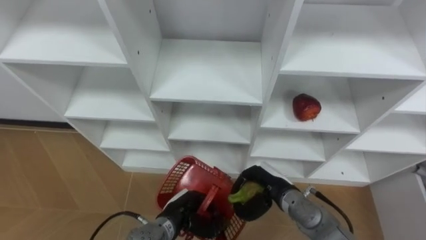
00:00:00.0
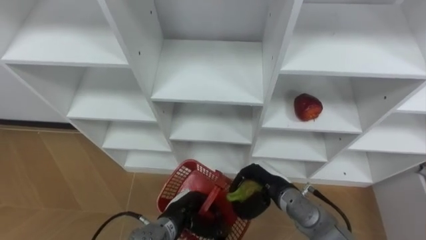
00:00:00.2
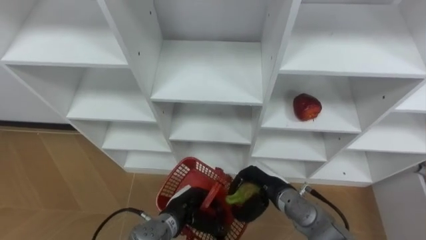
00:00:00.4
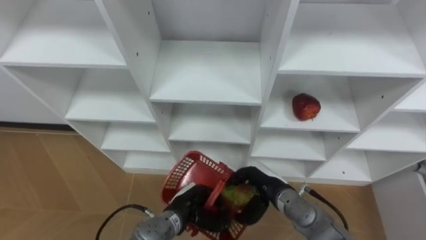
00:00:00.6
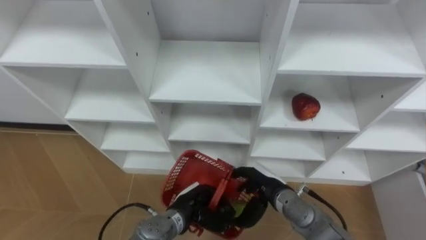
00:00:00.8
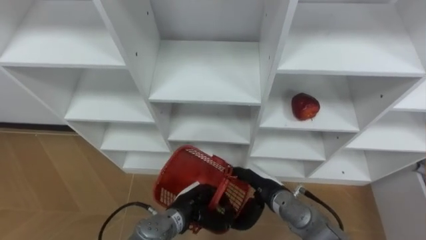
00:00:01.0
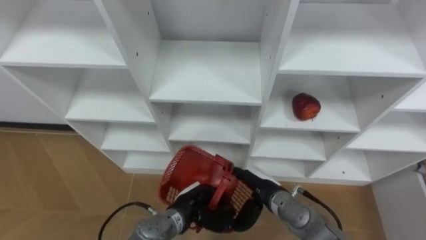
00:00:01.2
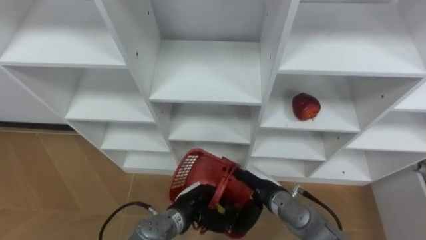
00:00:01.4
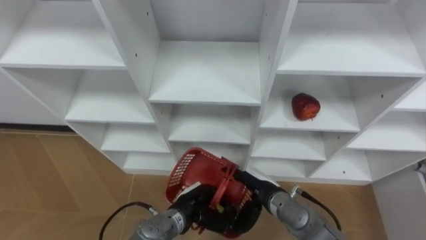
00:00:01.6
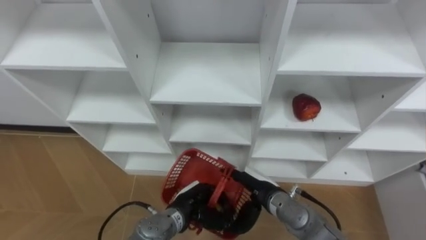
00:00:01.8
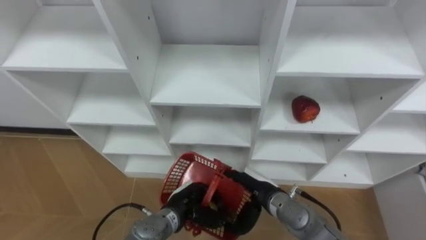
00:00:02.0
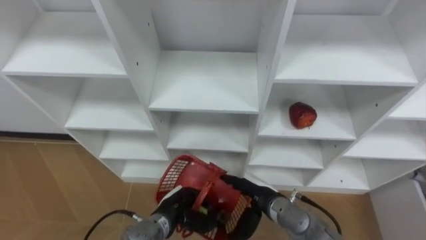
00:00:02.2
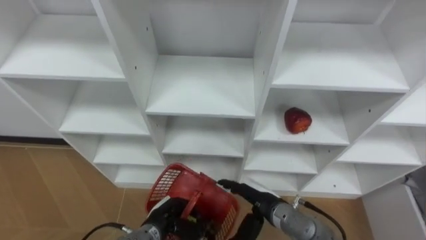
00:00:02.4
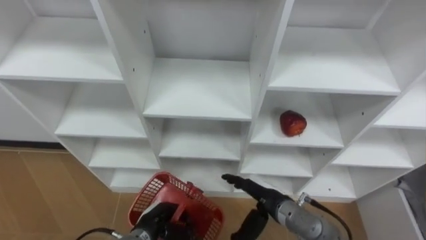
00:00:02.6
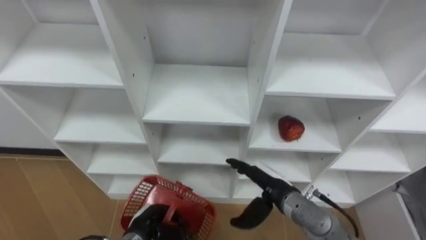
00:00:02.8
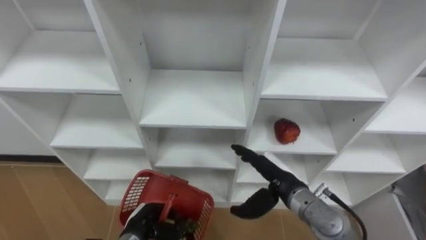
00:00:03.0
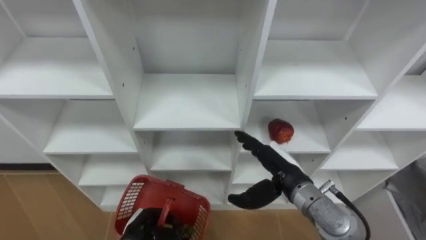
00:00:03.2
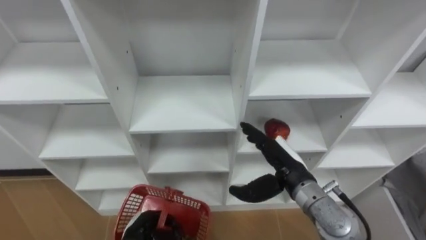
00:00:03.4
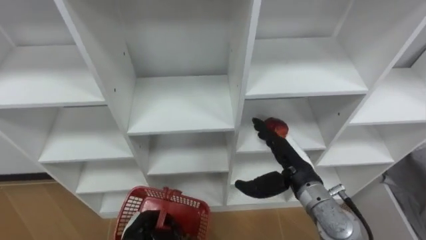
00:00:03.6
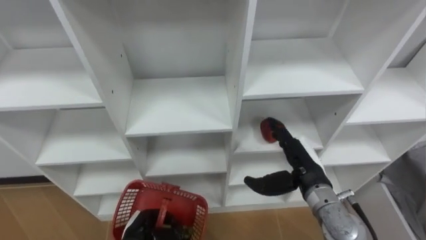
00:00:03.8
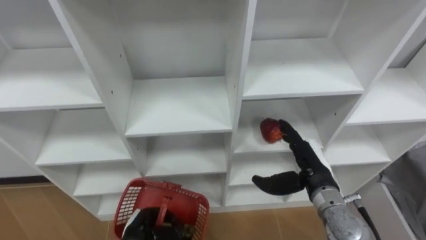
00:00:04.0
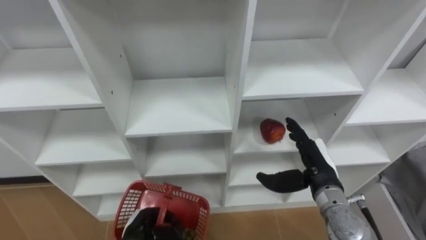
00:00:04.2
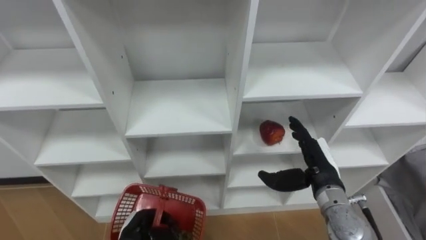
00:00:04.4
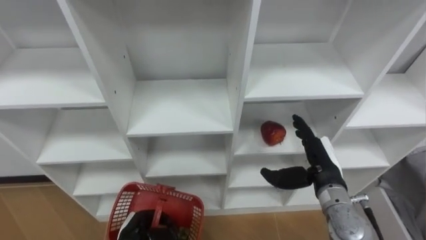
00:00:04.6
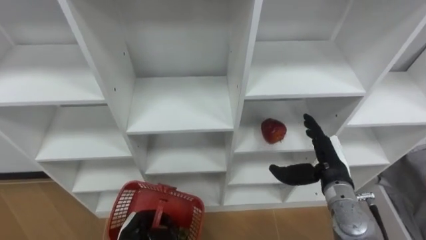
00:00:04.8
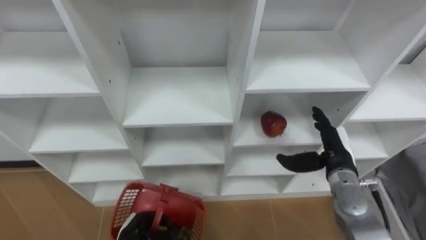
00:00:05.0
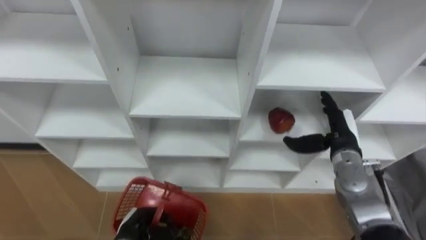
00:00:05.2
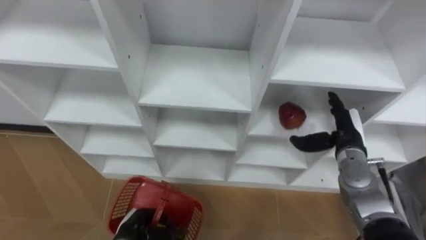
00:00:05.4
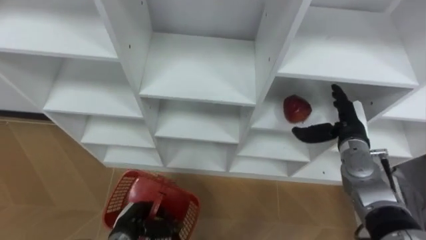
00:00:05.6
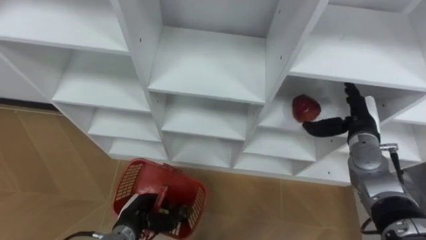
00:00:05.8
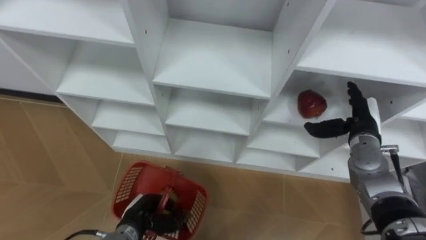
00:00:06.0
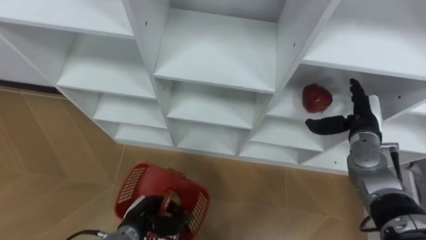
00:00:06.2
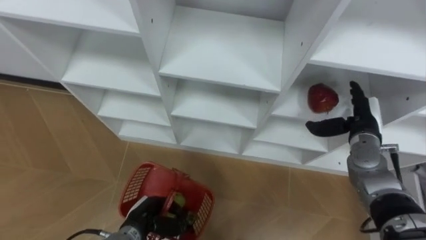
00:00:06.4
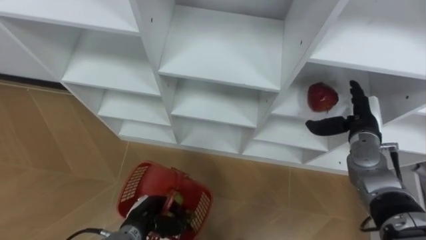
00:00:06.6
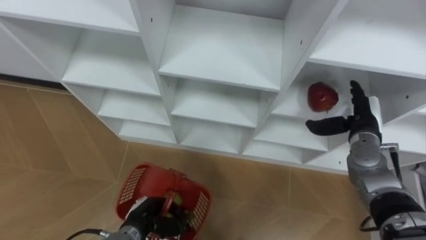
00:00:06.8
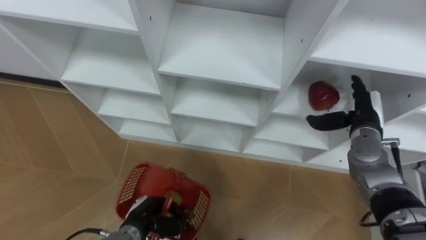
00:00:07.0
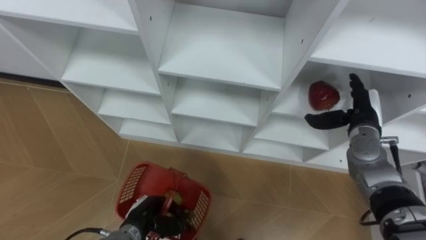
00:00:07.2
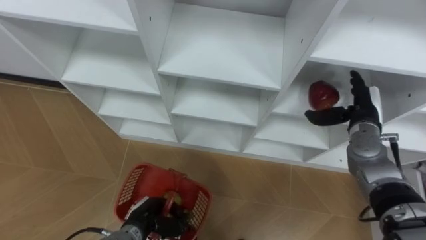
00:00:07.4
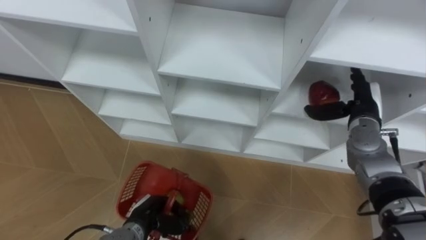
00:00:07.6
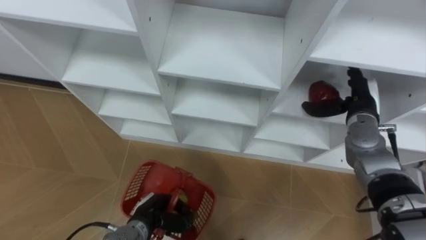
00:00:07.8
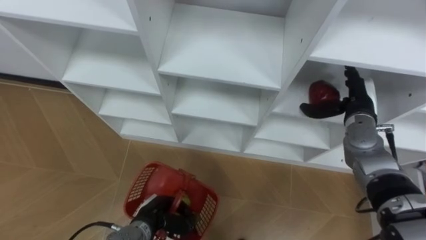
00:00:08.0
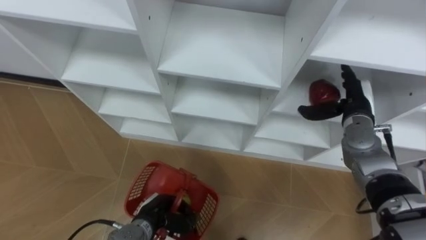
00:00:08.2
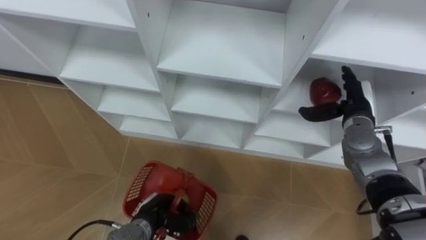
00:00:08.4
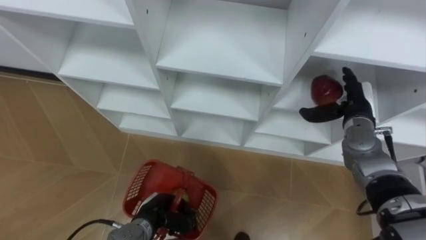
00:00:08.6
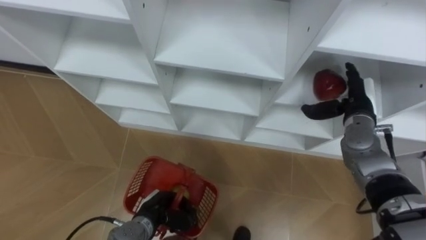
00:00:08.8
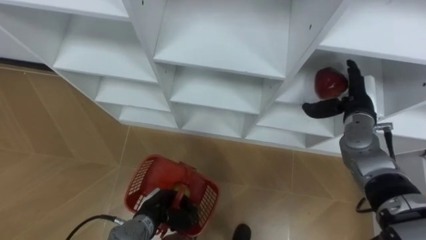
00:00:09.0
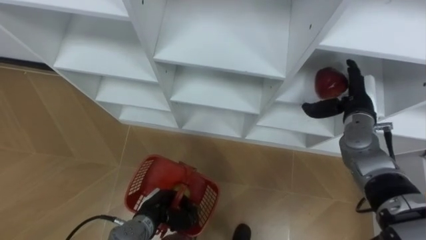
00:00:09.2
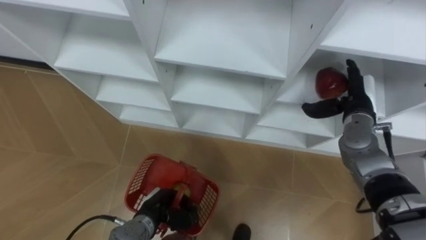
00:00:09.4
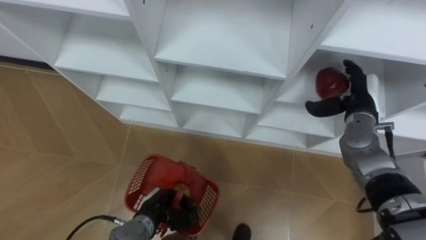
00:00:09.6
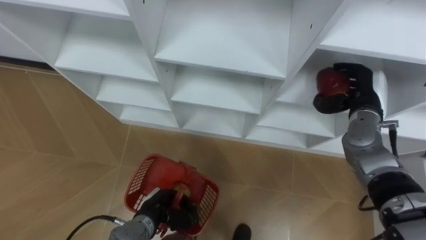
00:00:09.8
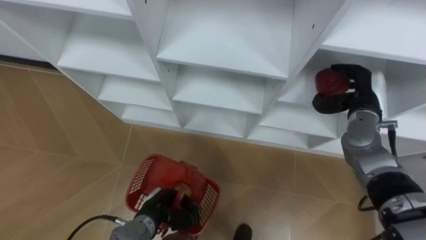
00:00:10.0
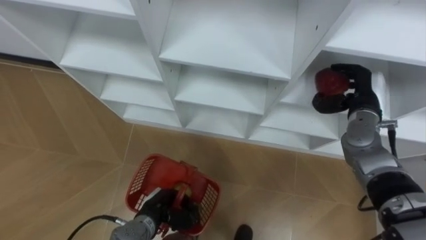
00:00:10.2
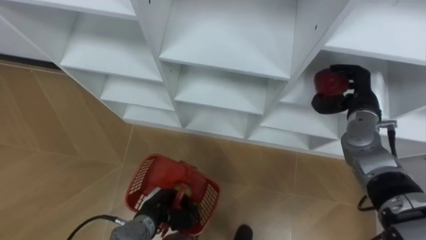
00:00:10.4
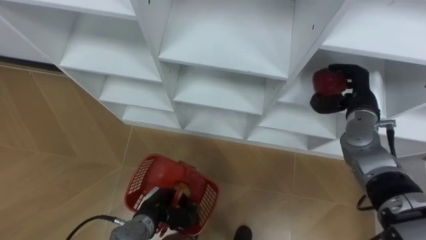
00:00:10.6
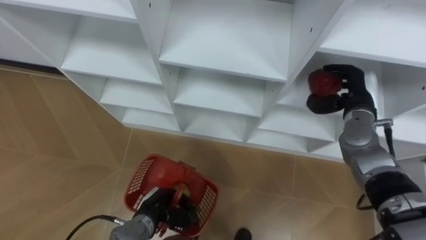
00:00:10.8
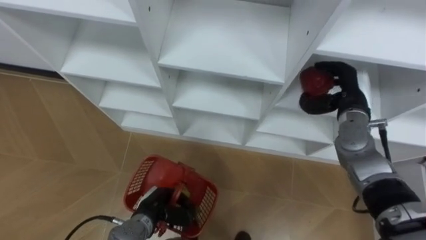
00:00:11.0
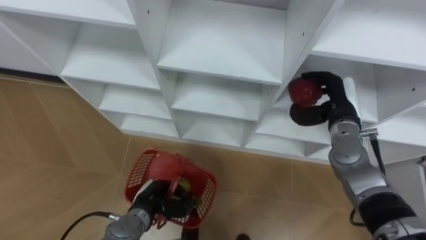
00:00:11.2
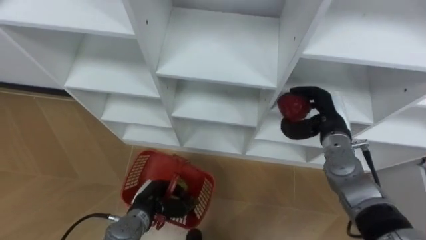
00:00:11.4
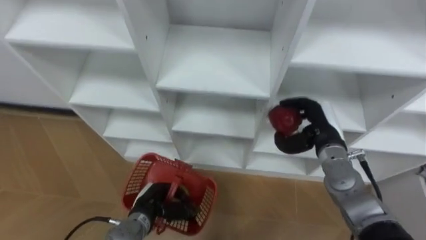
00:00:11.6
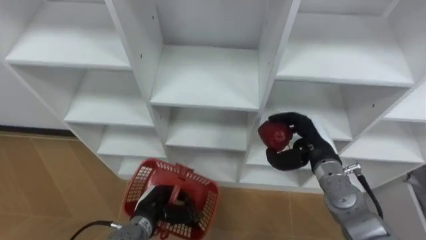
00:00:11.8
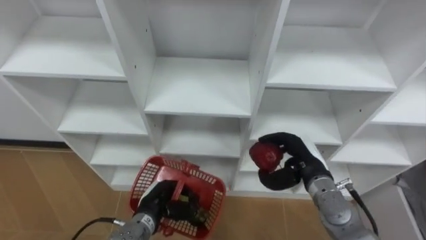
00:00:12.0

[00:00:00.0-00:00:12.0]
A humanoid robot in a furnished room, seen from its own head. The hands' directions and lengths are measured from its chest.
Task of the whole recording: Hold the basket and collect the fruits from 3 different cells of the closet into it.
00:00:00.0 to 00:00:01.6: The right hand opens its fingers.
00:00:01.6 to 00:00:03.0: The right hand travels upward by roughly 5 cm. The left hand heads to the left, covering approximately 10 cm.
00:00:03.0 to 00:00:04.4: The right hand travels to the right by about 10 cm.
00:00:04.4 to 00:00:06.0: The right hand heads to the right and forward, covering roughly 15 cm.
00:00:09.0 to 00:00:10.4: The right hand closes up.
00:00:10.4 to 00:00:12.0: The right hand travels to the left, backward and downward by some 15 cm.

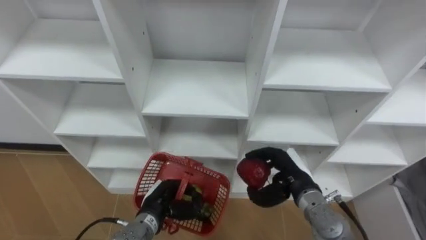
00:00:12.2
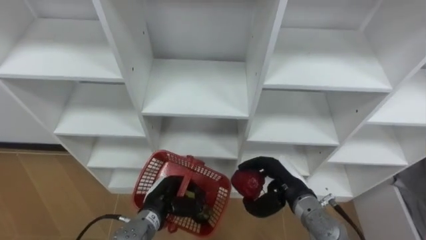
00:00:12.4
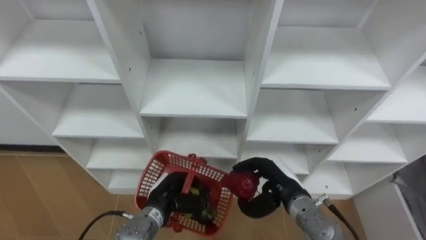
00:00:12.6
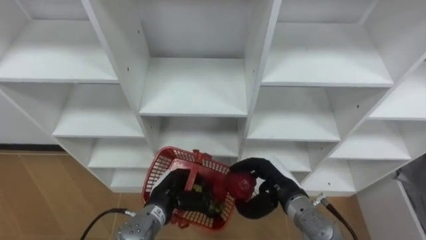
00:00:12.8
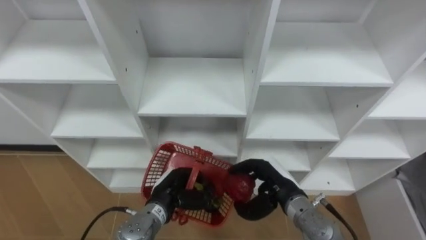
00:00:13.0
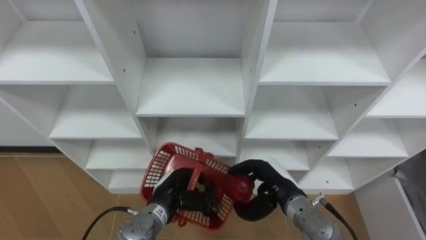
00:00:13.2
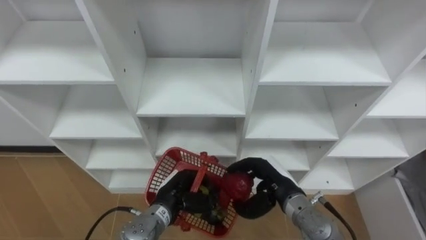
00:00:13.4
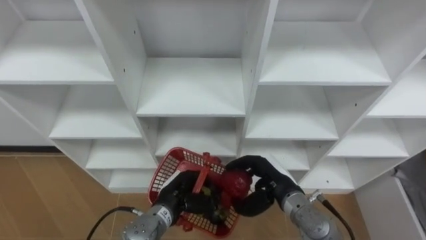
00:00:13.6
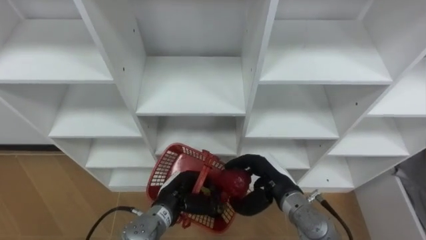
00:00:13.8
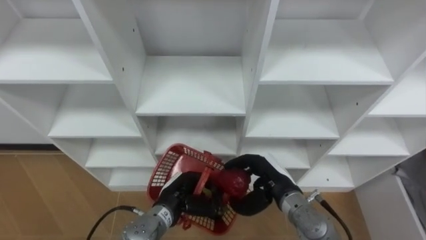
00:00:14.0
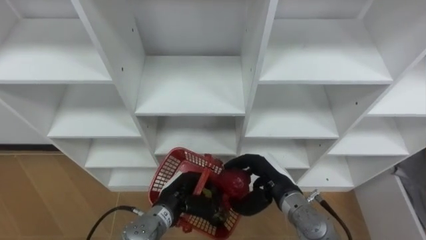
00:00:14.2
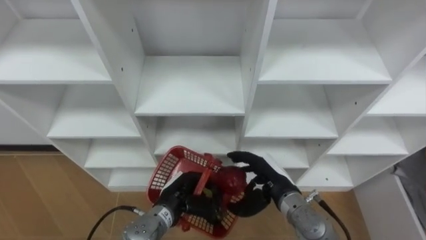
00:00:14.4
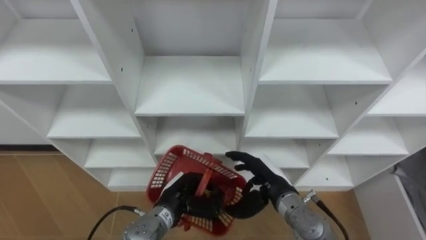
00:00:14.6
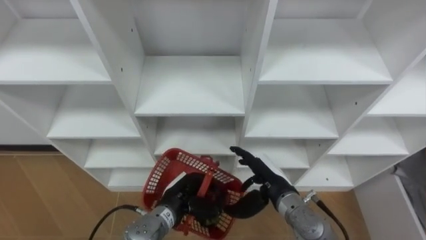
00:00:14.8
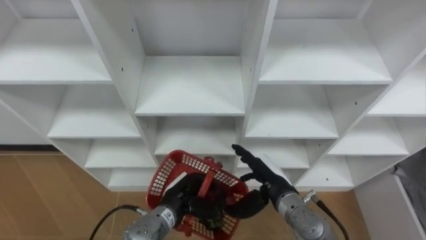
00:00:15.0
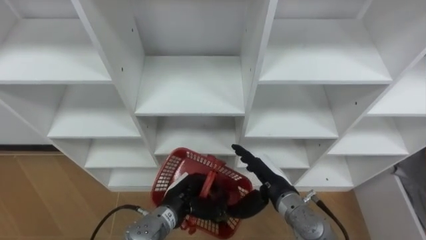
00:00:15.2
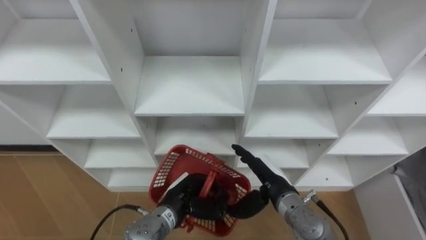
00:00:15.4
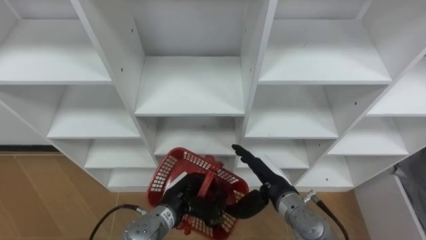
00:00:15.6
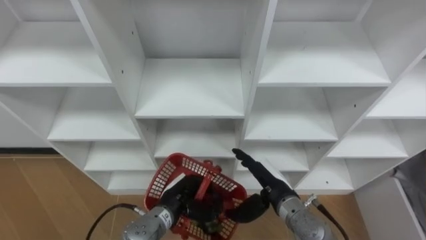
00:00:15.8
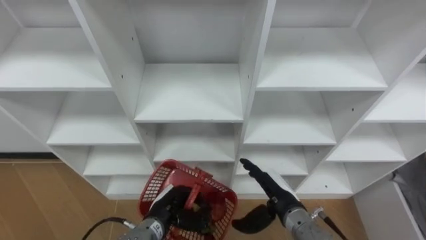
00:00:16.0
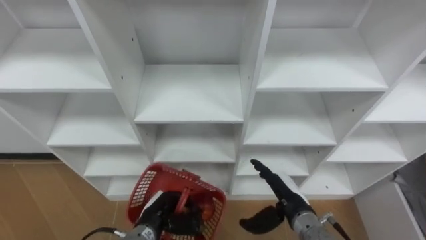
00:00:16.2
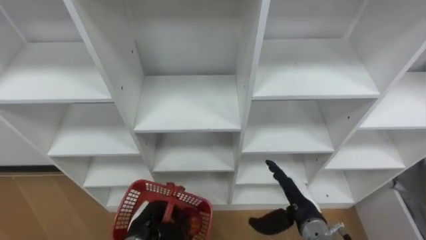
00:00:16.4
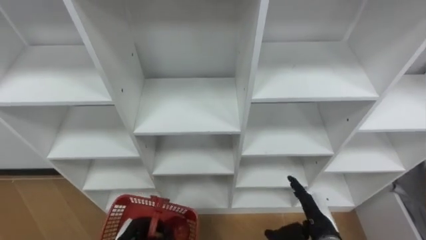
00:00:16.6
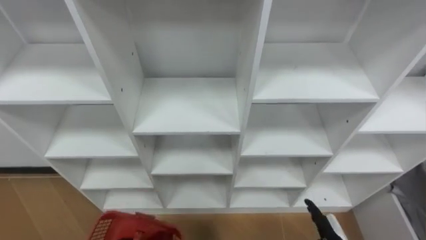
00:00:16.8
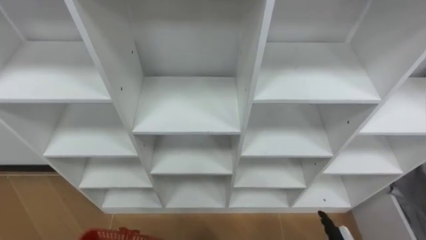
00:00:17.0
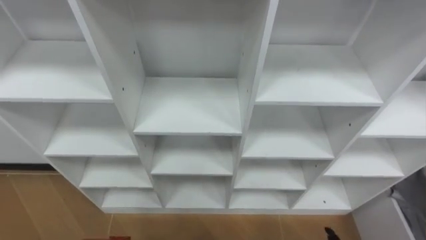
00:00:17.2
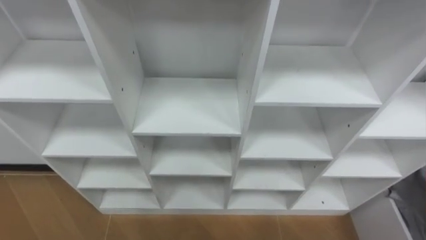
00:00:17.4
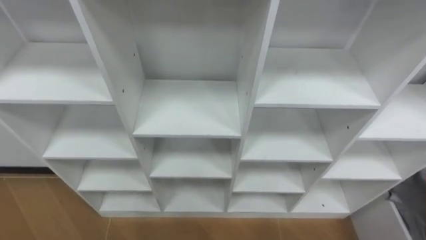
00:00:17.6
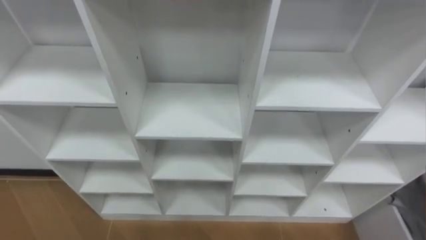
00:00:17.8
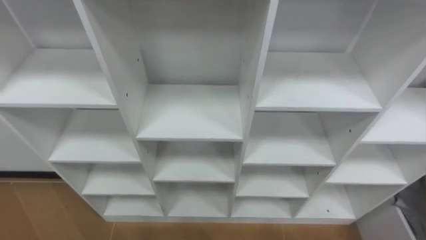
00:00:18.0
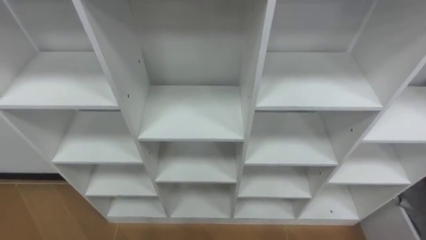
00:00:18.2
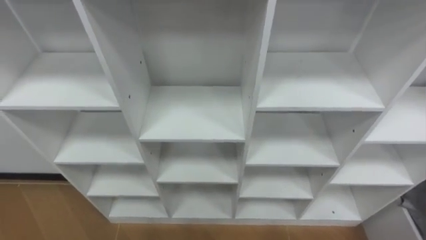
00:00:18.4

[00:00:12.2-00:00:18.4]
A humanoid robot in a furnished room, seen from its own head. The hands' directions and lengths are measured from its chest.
Task of the whole recording: Hold the basket and collect the fruits from 3 different cells of the closet into it.
00:00:13.8 to 00:00:15.4: The right hand opens its fingers.
00:00:15.4 to 00:00:16.8: The right hand moves to the right, backward and downward, approximately 20 cm.
